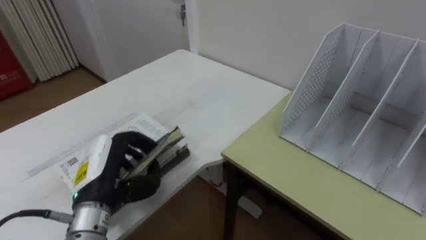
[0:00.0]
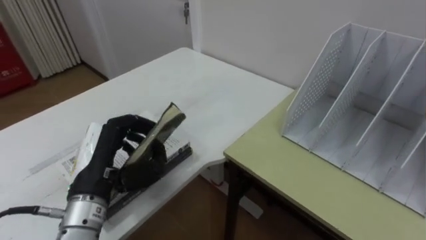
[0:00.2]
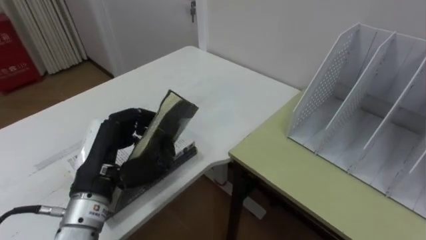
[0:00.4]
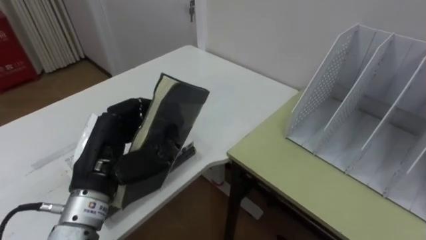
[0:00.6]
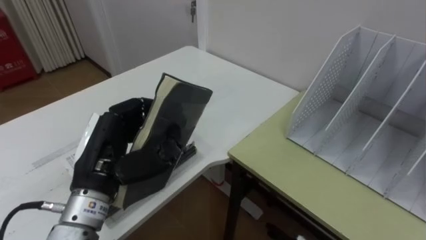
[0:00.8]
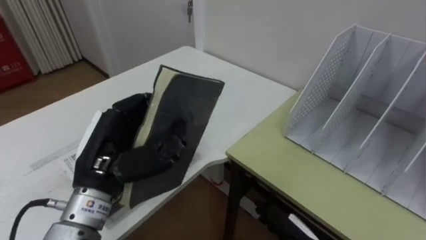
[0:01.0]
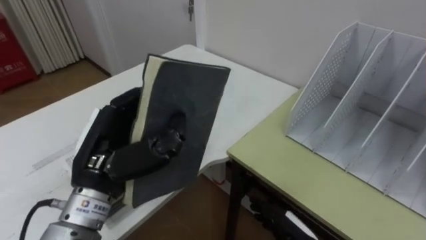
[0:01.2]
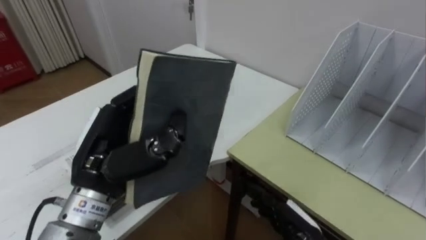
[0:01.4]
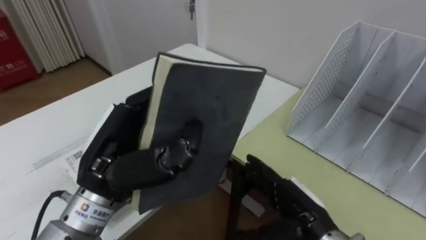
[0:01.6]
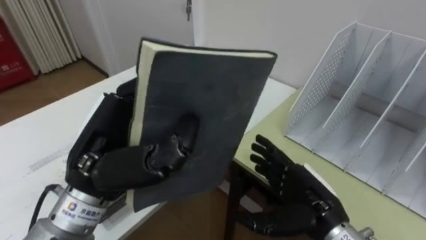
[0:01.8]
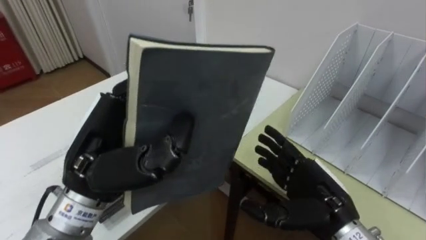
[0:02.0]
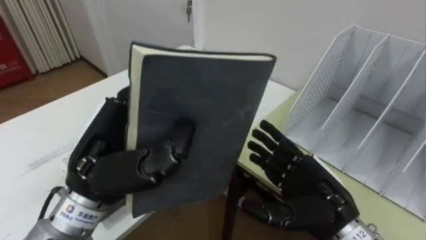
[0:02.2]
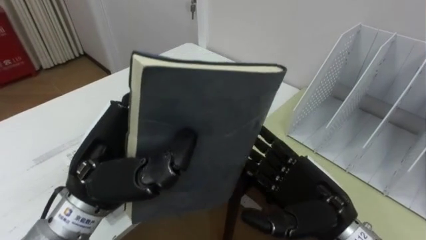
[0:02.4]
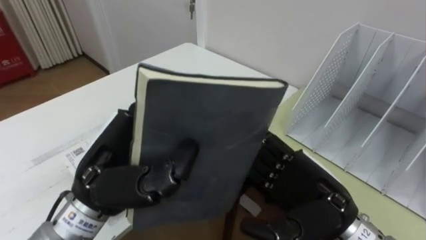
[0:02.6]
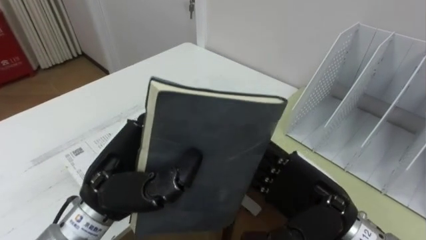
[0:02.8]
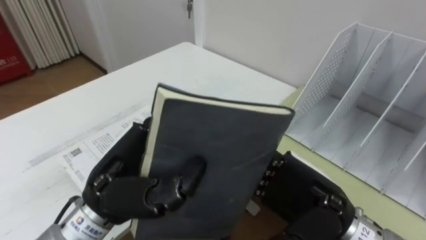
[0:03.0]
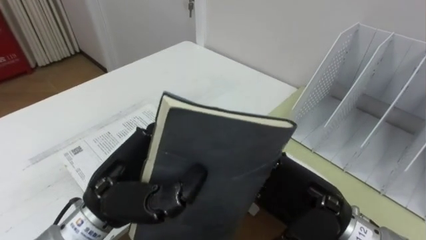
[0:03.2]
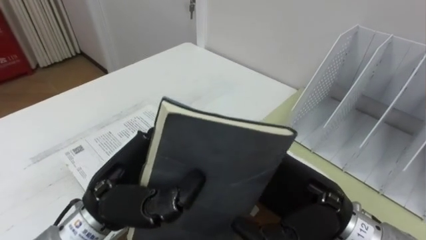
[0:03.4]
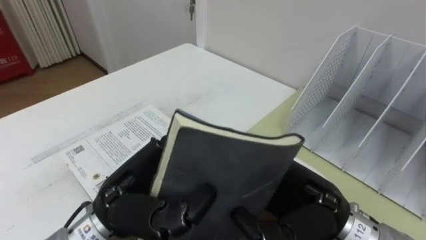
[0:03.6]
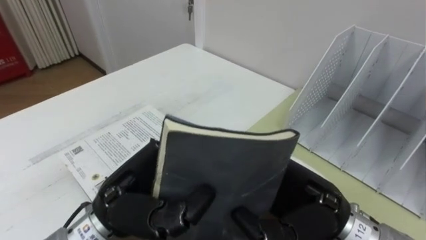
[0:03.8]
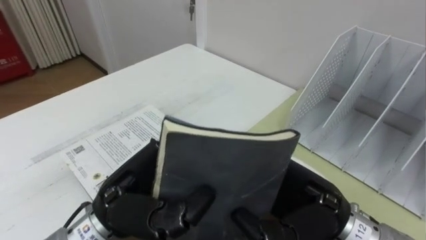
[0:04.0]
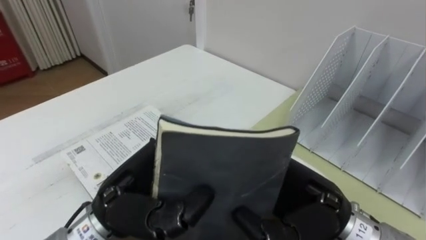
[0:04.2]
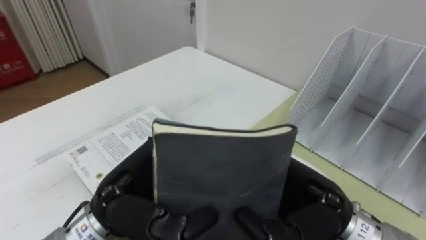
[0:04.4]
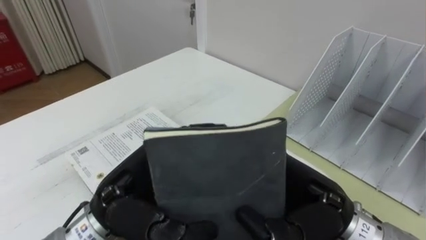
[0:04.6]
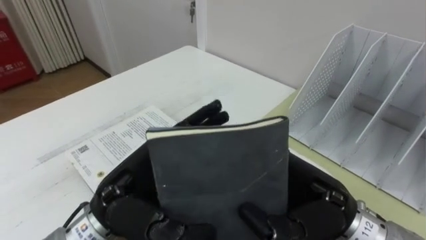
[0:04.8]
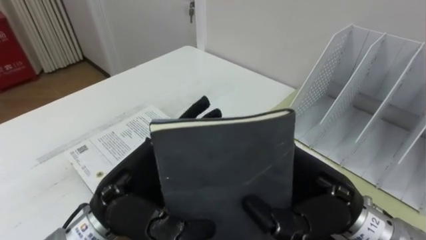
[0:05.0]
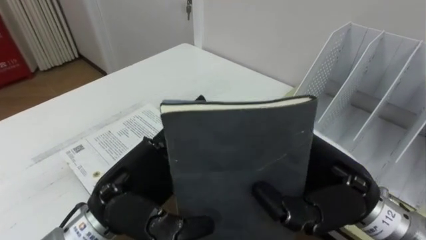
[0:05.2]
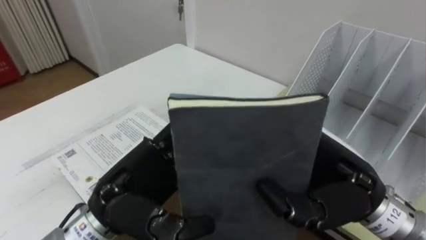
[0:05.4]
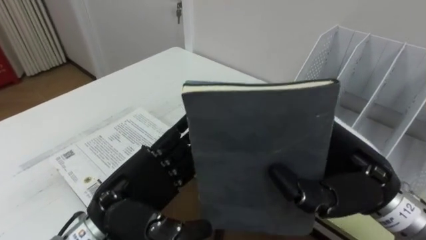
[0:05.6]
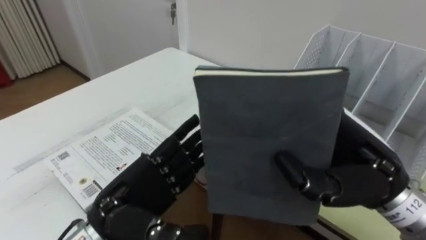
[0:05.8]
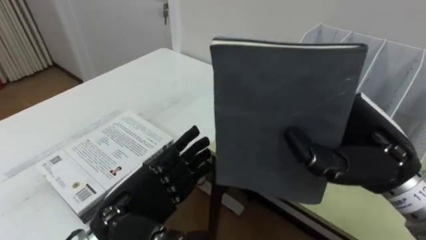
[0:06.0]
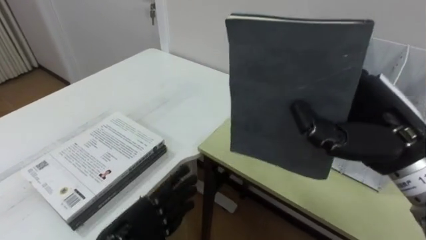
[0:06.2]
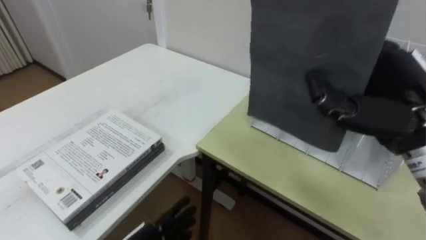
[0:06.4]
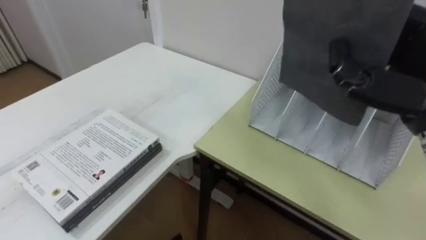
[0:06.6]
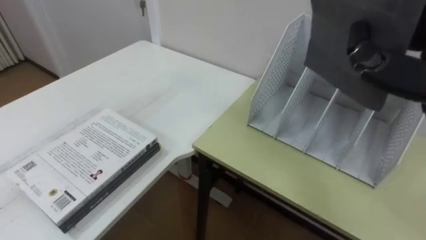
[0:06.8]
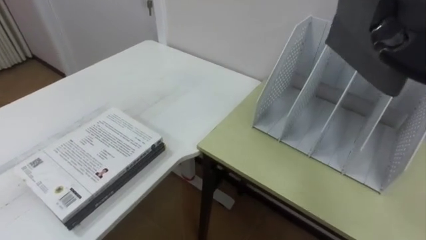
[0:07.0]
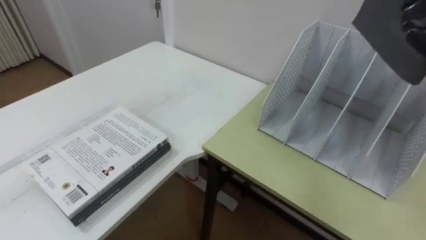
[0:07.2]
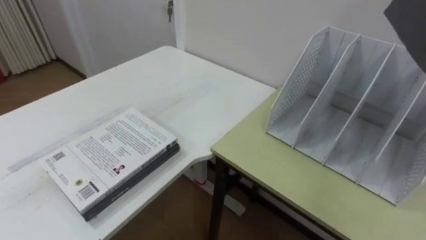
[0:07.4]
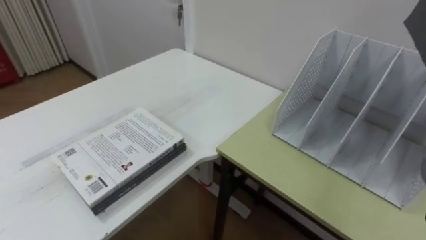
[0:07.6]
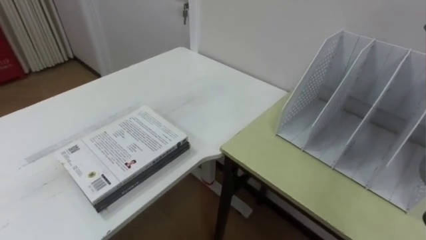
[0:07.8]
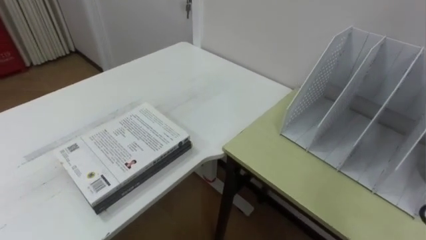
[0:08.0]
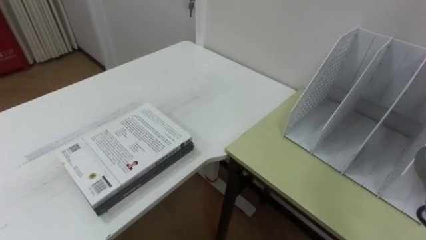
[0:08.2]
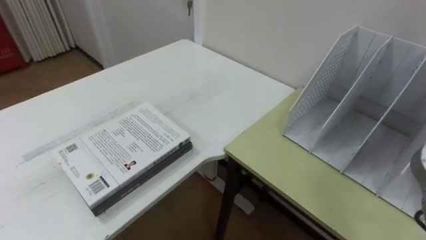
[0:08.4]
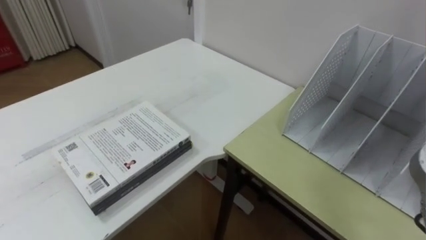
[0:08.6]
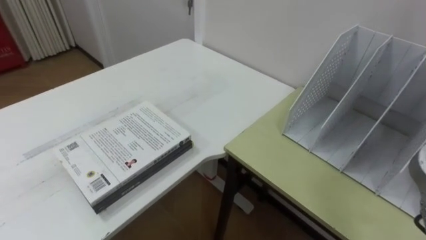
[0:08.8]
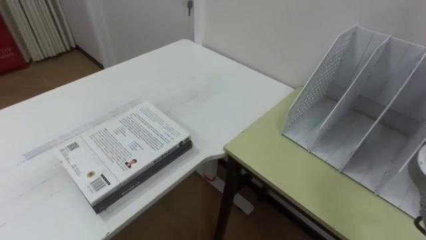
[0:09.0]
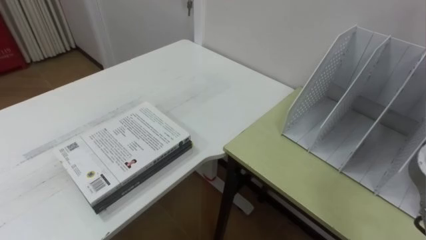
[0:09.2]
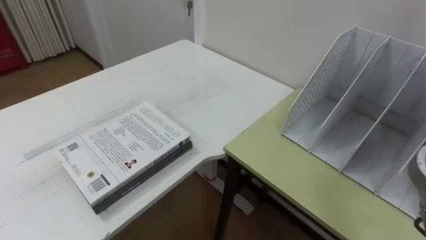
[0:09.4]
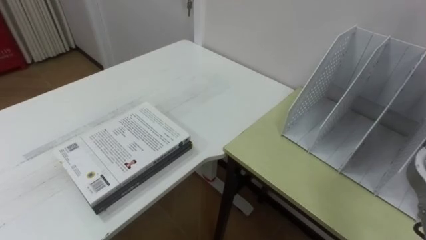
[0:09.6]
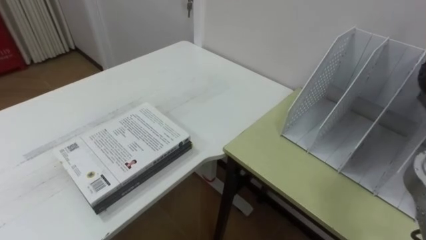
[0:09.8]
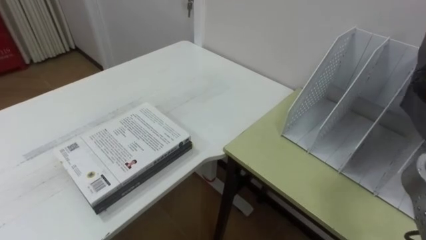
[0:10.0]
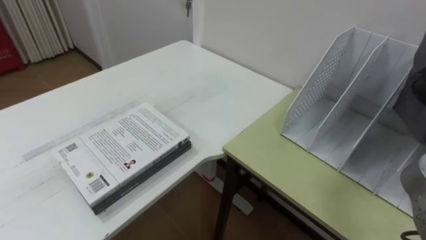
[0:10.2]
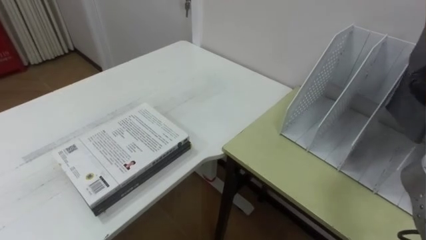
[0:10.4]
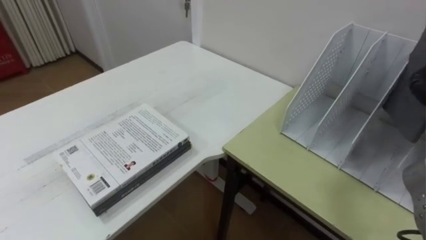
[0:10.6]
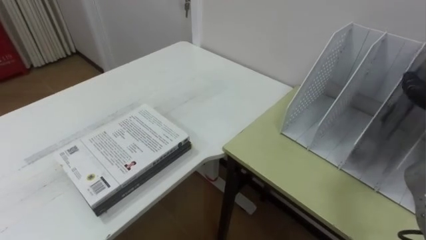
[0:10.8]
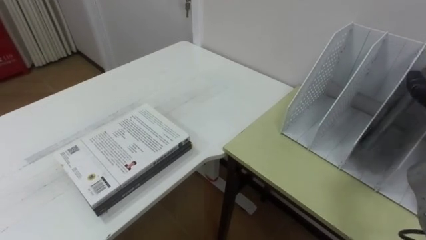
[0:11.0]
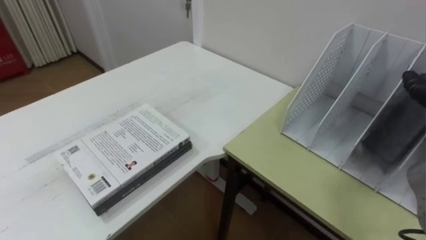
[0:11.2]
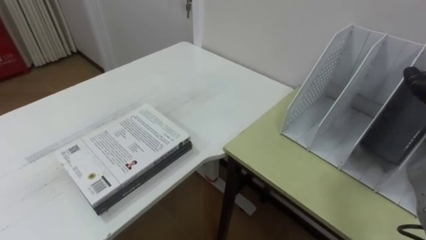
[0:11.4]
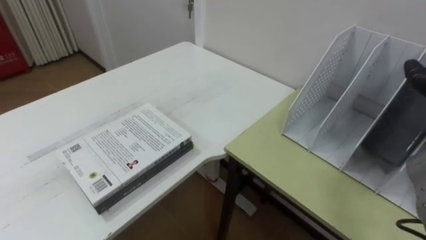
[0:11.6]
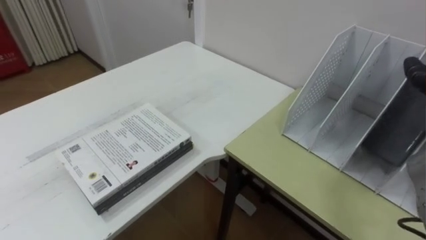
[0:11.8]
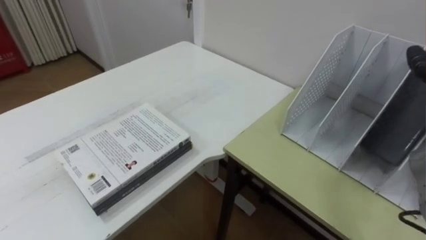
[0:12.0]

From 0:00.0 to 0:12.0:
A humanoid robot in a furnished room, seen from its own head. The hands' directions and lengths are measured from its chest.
Task of the whole recording: Put the books on the table onto the bookshelf.
From 0:00.0 to 0:01.6: The left hand goes approximately 10 cm upward and to the right.
From 0:01.6 to 0:03.0: The right hand travels upward by roughly 10 cm.
From 0:03.0 to 0:04.4: The right hand closes its fingers.
From 0:04.4 to 0:06.0: The left hand moves approximately 5 cm, and opens up. The right hand travels to the right and upward by about 10 cm.

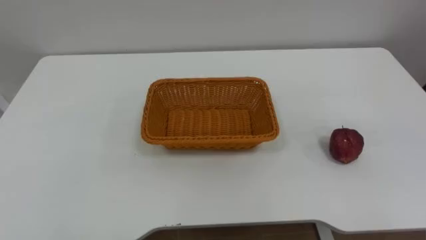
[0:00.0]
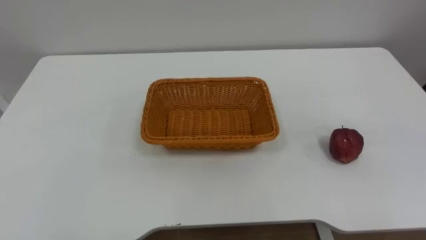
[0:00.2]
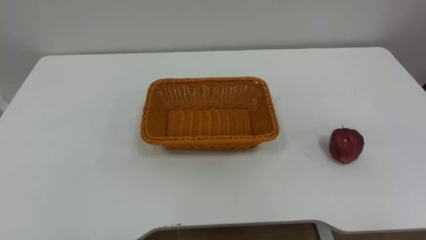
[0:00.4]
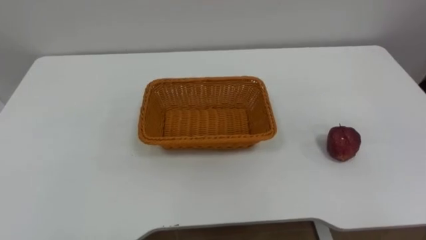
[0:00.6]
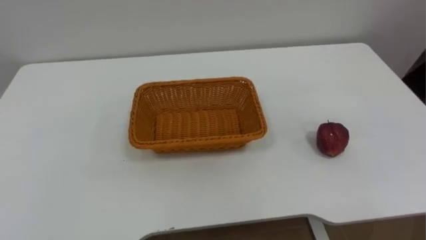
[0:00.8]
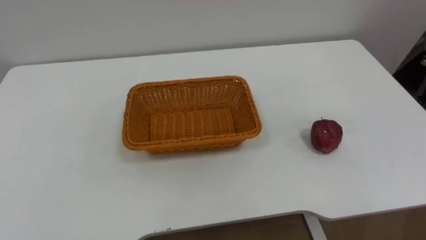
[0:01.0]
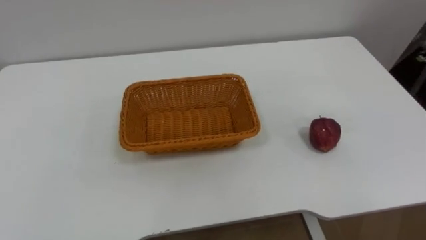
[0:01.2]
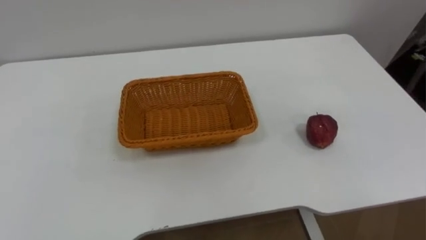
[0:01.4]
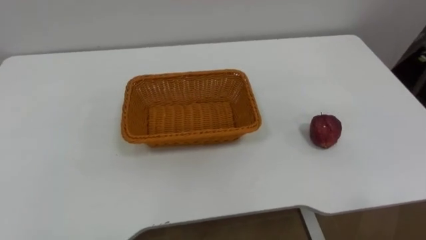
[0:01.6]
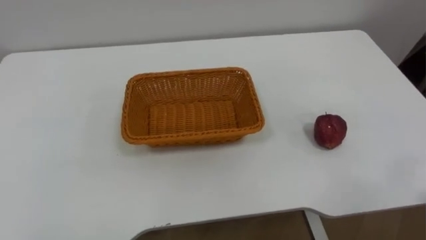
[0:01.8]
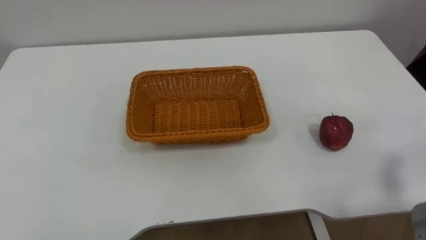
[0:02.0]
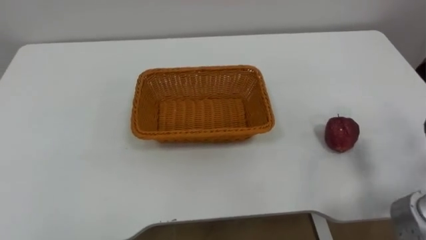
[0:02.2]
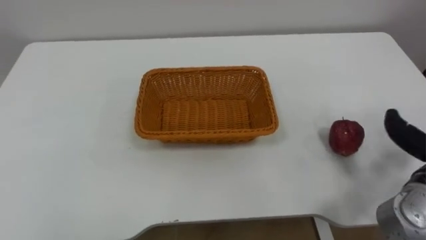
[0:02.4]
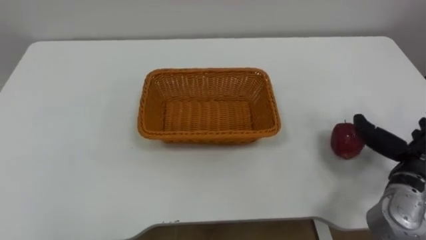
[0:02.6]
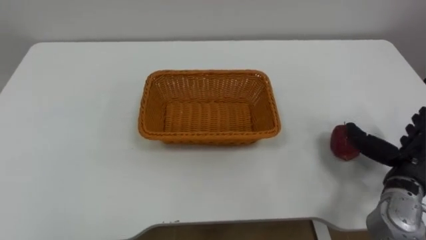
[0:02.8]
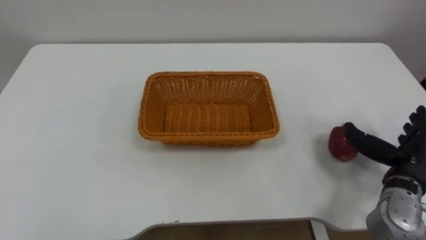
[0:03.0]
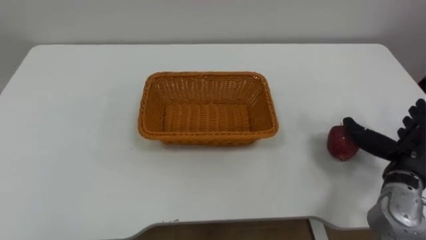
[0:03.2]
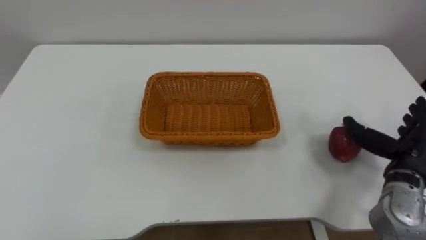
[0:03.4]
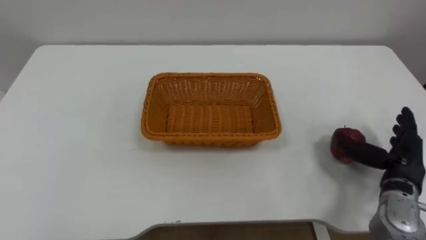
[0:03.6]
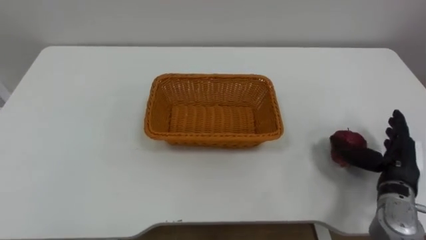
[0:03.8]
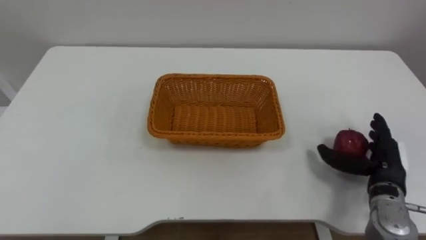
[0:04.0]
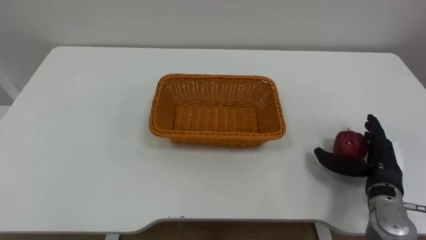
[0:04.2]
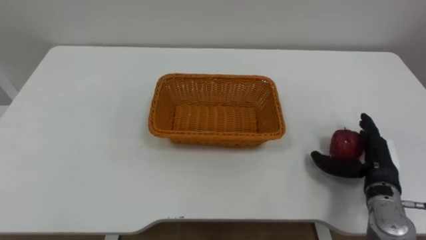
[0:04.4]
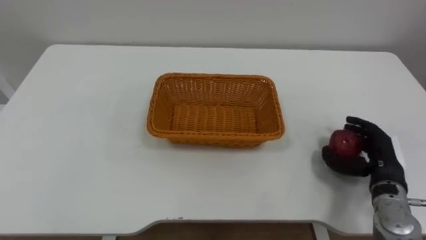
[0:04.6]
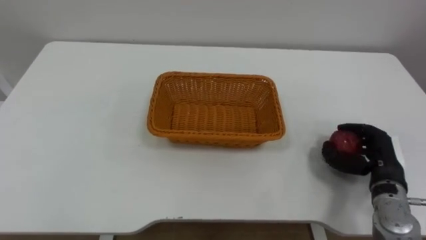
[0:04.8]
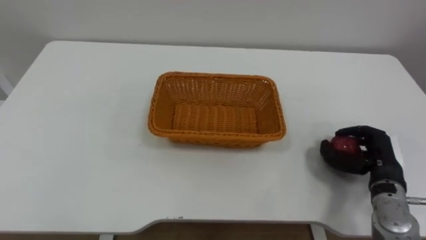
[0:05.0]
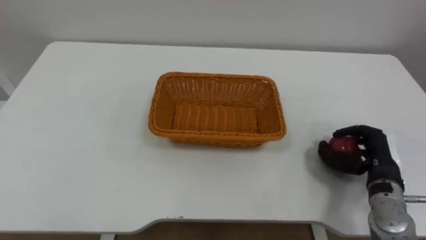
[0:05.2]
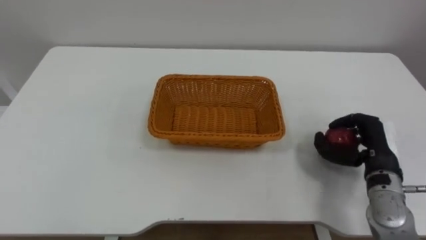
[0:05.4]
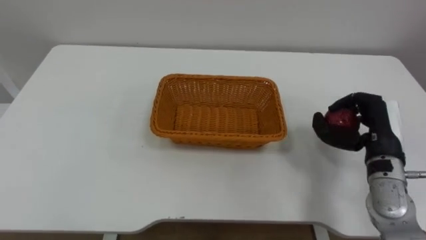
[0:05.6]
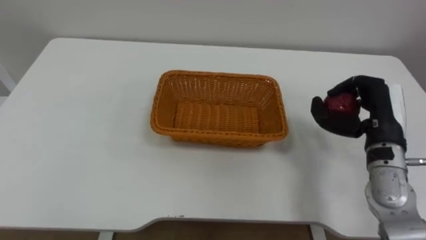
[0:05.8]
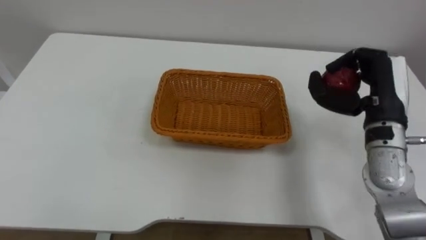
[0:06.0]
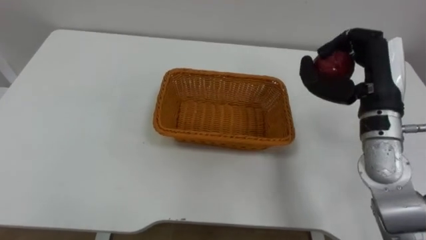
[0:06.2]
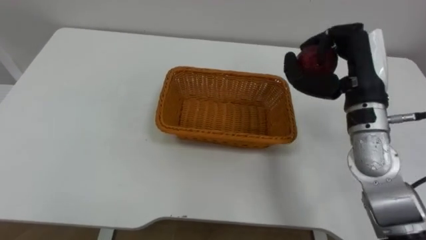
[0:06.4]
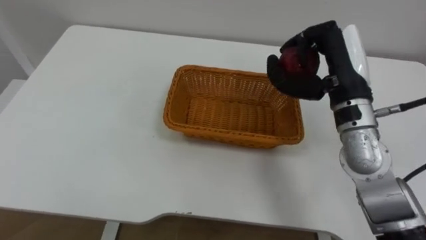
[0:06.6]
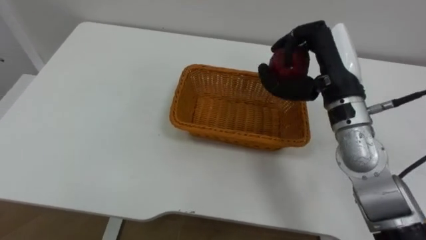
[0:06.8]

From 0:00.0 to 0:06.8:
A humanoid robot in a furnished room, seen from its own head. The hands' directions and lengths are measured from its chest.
Task of the whole recording: Pick the apple and place it in the box.
From 0:04.0 to 0:05.4: The right hand closes.
From 0:05.4 to 0:06.8: The right hand shifts about 20 cm upward and to the left.
